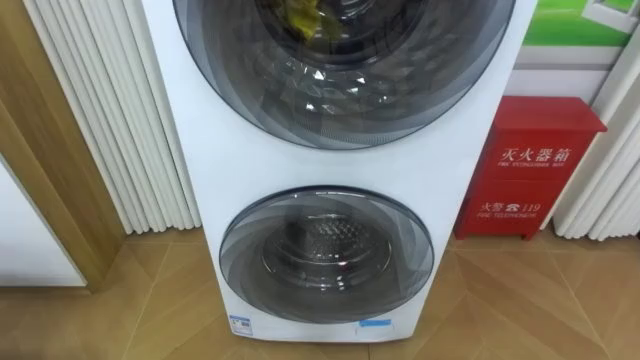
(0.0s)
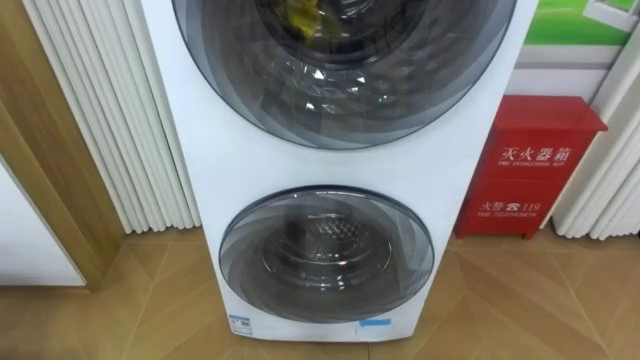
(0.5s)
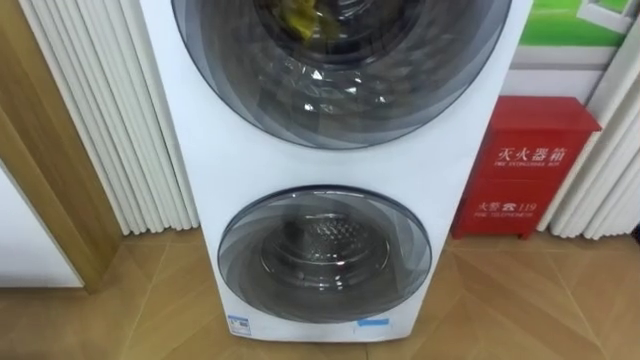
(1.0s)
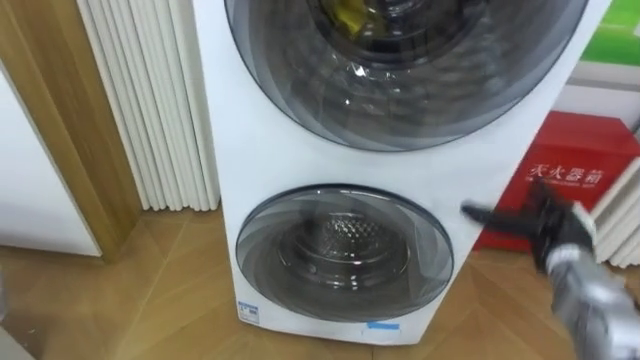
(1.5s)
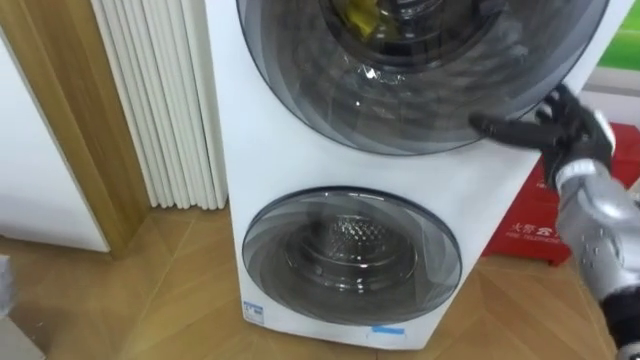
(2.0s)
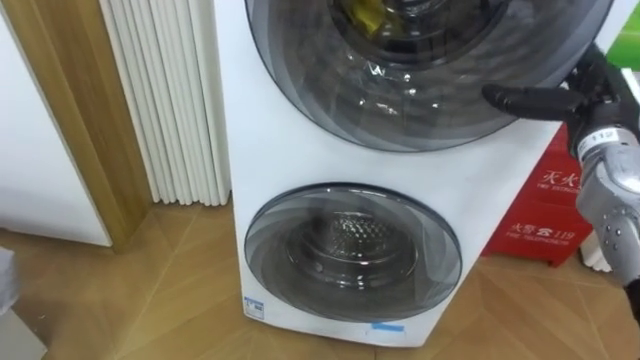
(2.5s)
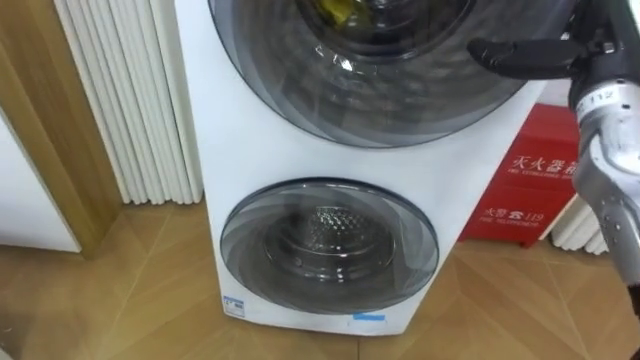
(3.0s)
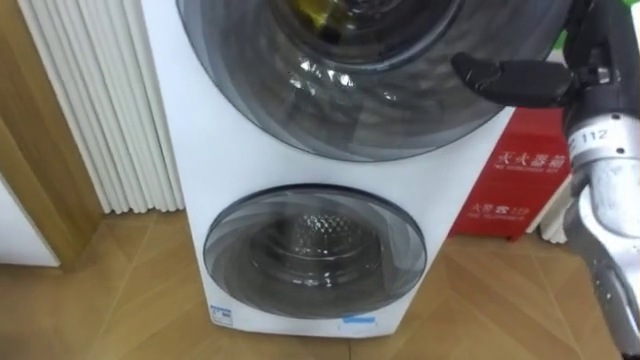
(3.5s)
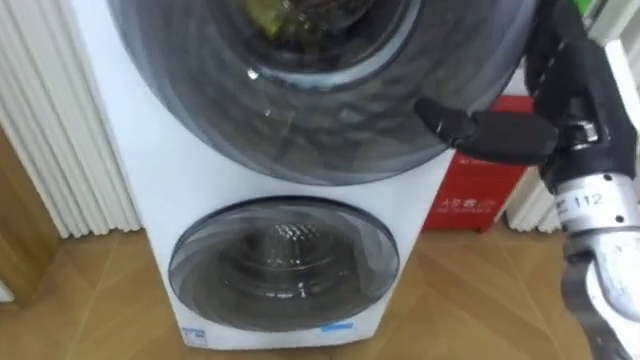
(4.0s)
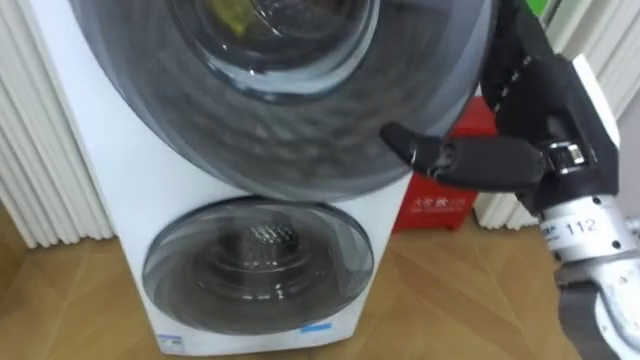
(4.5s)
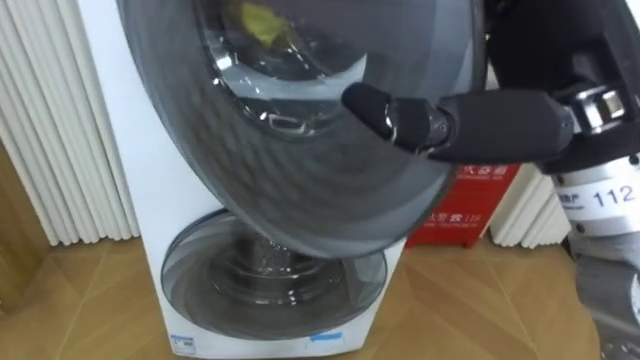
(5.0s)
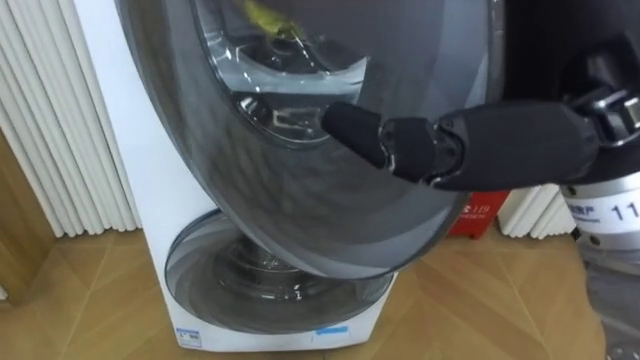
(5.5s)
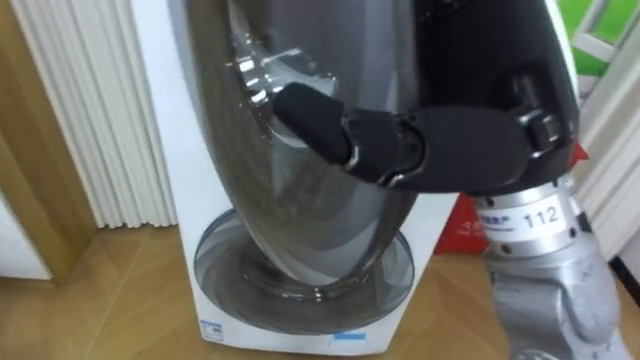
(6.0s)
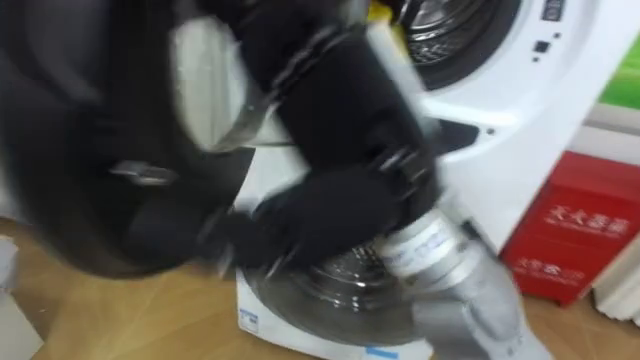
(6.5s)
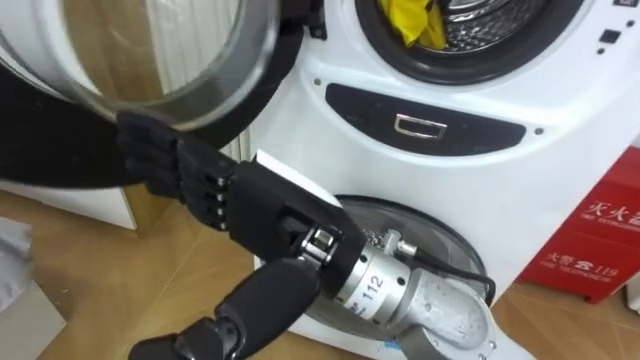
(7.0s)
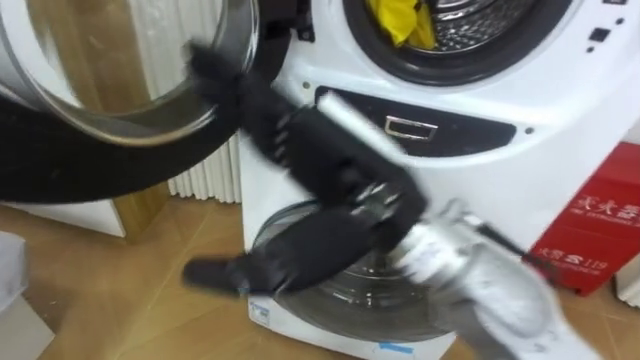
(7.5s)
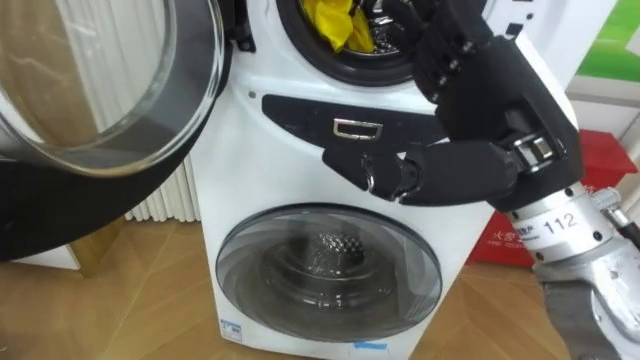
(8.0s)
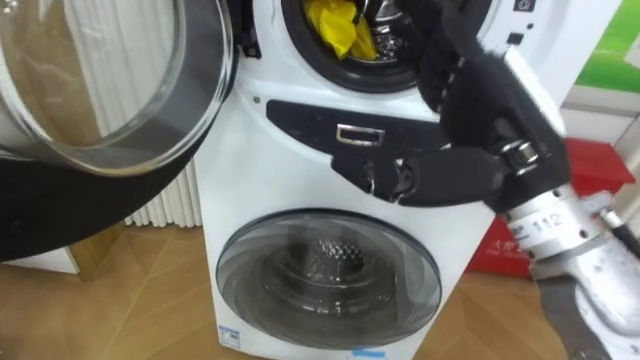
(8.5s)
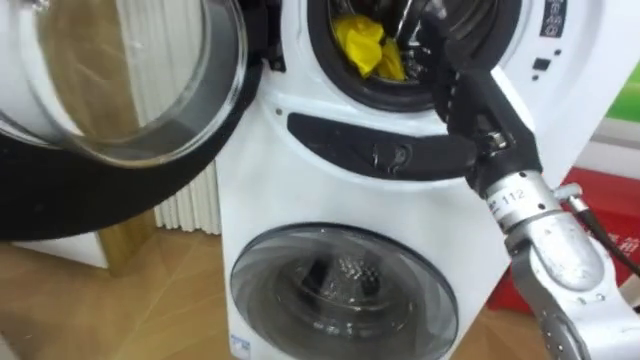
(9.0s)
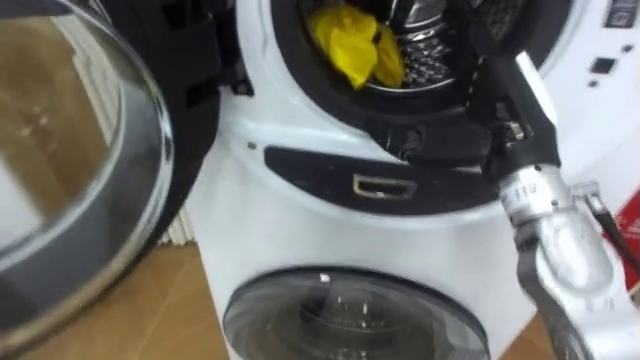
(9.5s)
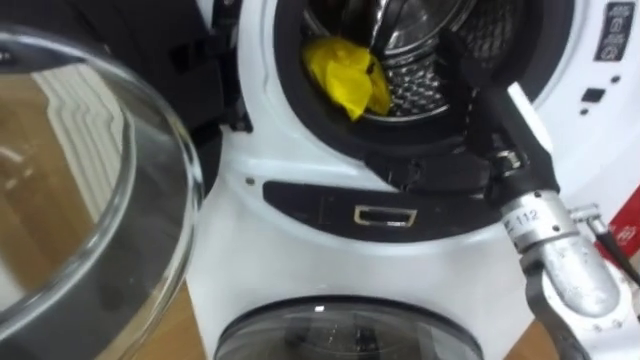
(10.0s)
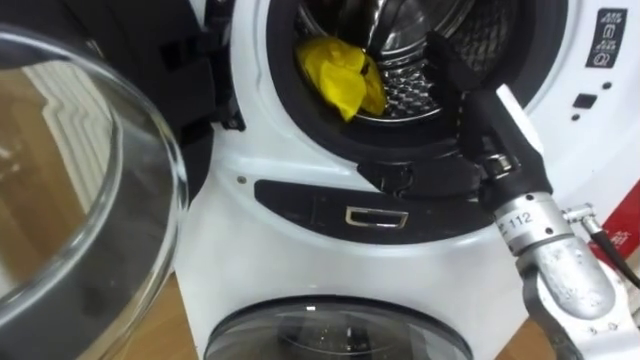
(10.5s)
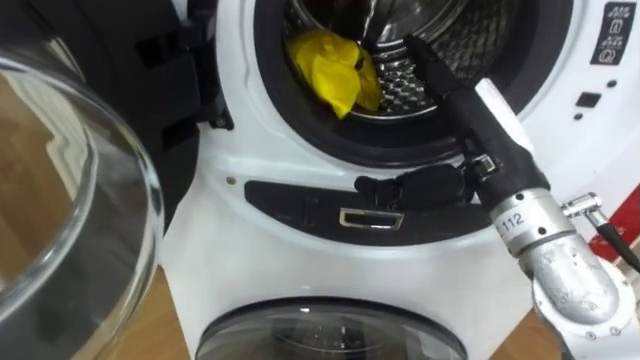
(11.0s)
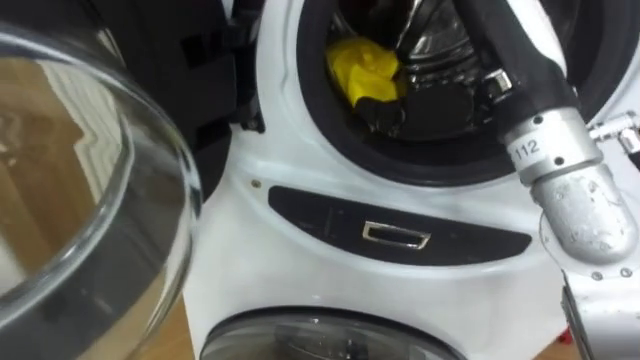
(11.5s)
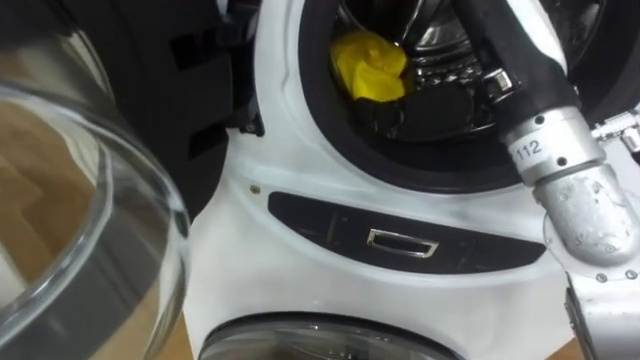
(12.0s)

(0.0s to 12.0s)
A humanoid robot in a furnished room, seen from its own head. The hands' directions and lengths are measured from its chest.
Task of the whole recording: Open the washing machine door, take out the yellow clothes, place them in the box on the right, and close the washing machine door.
2.0s - 4.0s: The right hand shifts about 20 cm upward, backward and to the left.
4.0s - 6.0s: The right hand is displaced to the left, upward and backward by about 15 cm.
6.0s - 8.0s: The right hand reaches about 10 cm to the left, then returns.
8.0s - 10.0s: The right hand goes roughly 10 cm downward and forward.
10.0s - 12.0s: The right hand shifts some 10 cm upward.

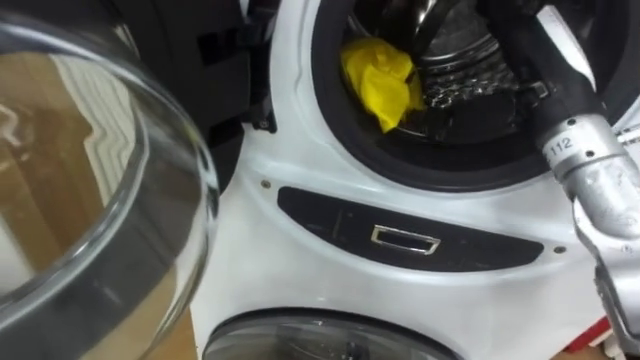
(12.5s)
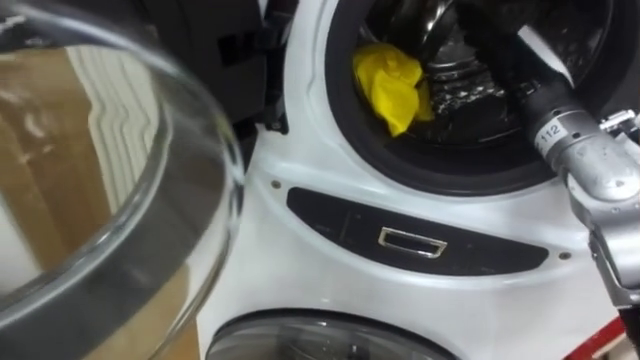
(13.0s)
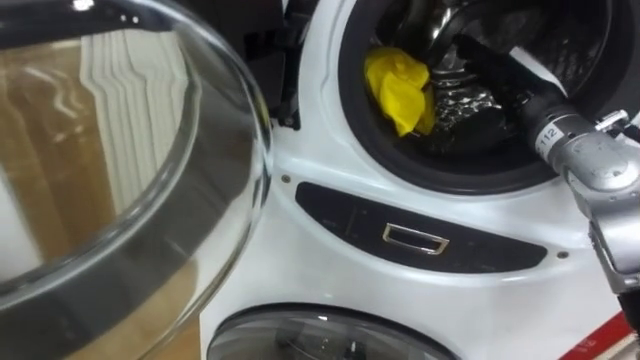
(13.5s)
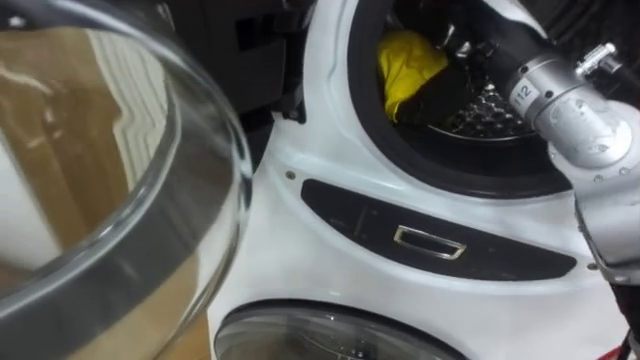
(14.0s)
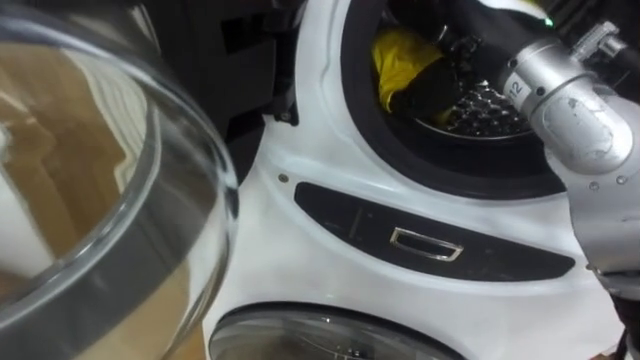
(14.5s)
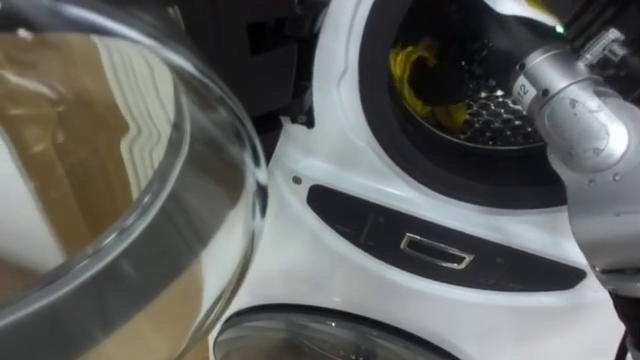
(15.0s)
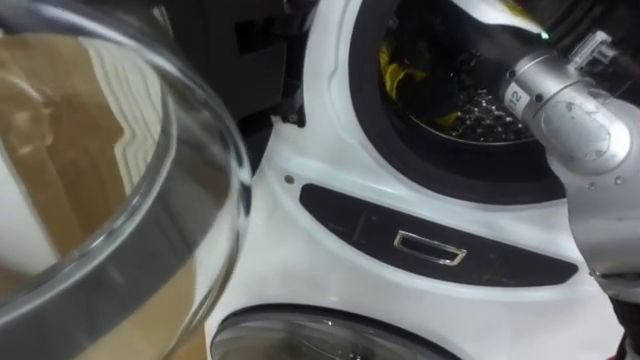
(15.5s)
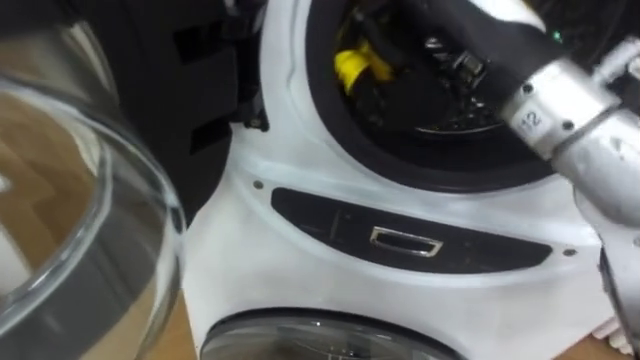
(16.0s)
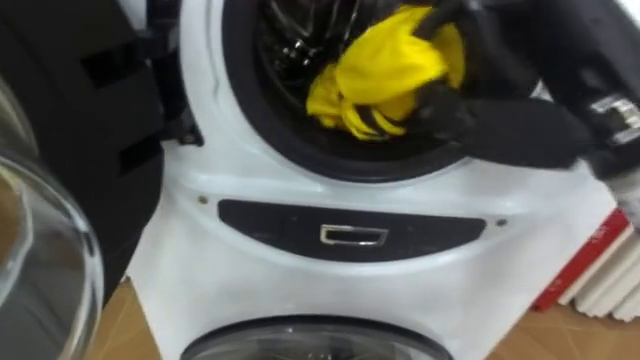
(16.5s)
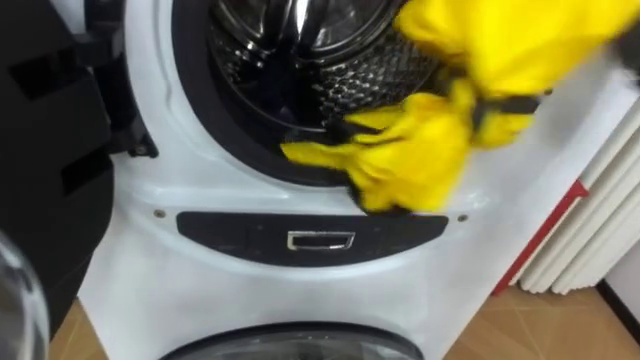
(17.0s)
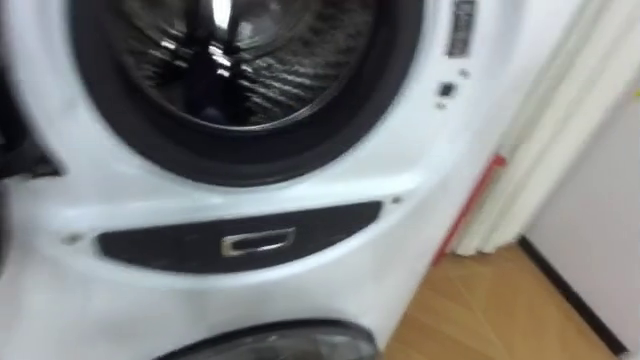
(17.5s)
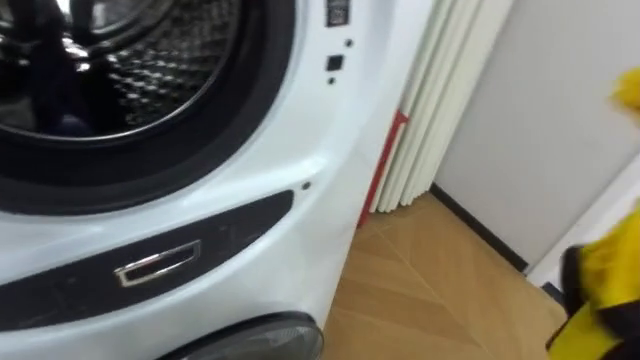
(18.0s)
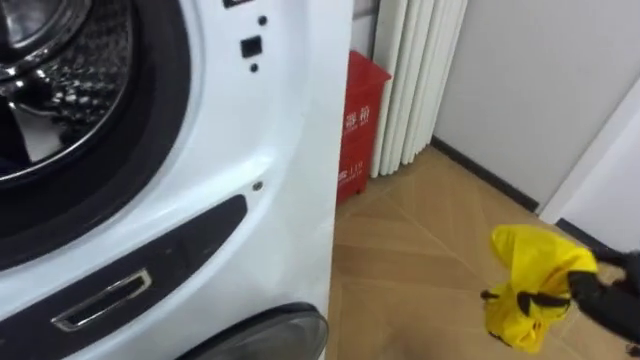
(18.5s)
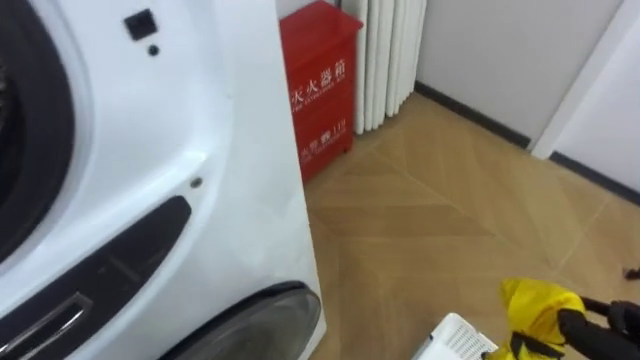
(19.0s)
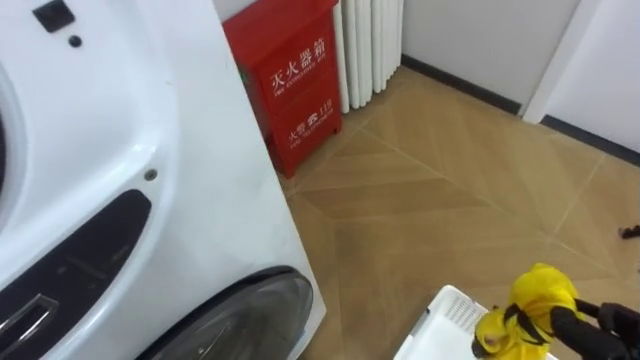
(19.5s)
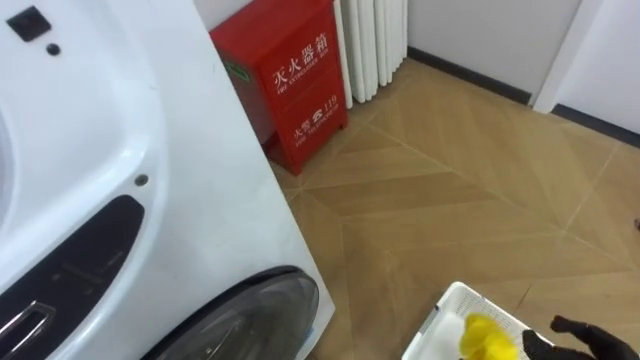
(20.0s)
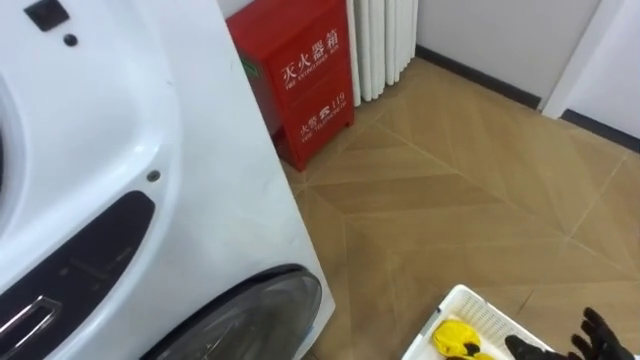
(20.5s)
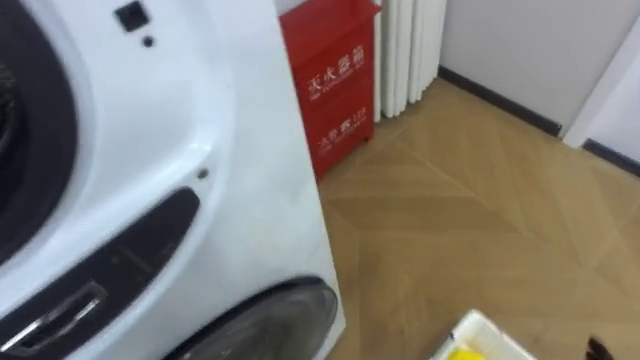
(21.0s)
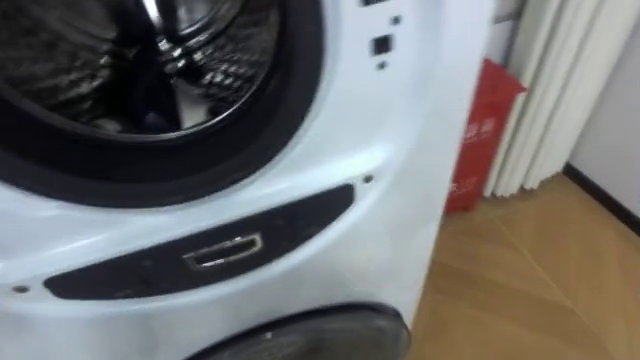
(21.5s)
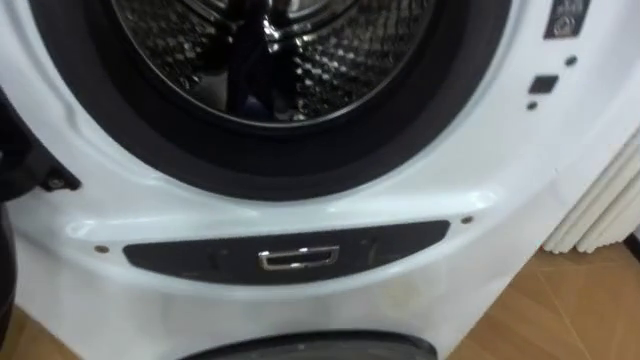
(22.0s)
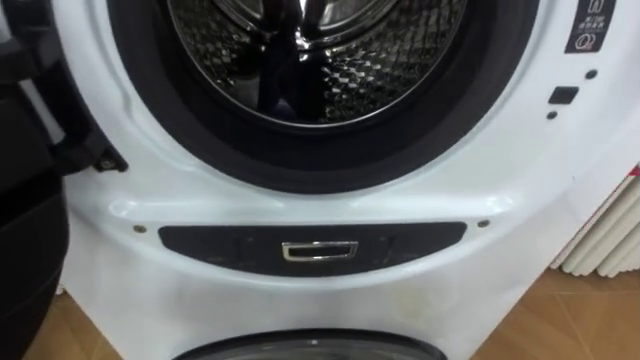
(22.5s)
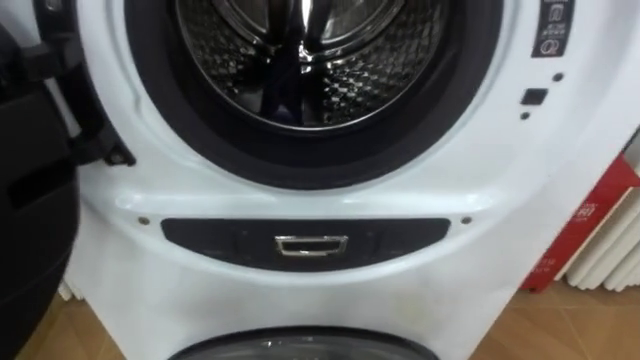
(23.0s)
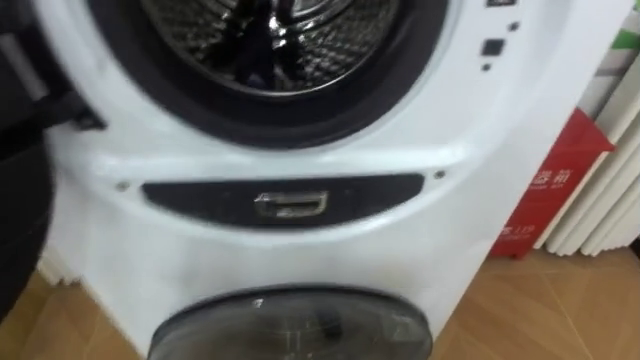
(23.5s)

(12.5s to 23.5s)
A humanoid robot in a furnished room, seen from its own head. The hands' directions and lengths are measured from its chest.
Task of the whole recording: Open the washing machine door, take out the yellow clothes, place them in the box on the right, and close the washing machine door.
12.5s - 14.5s: The right hand shifts about 10 cm to the left and upward.
14.5s - 16.0s: The right hand is displaced backward by approximately 5 cm, and closes.
20.0s - 21.5s: The robot's body swings some 20 degrees to its left.
